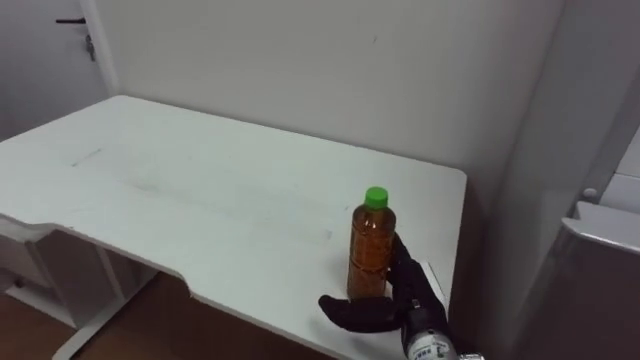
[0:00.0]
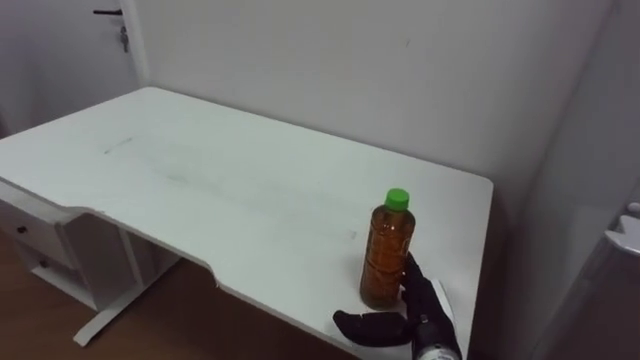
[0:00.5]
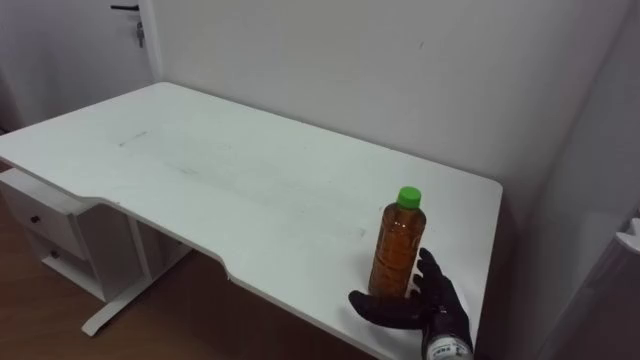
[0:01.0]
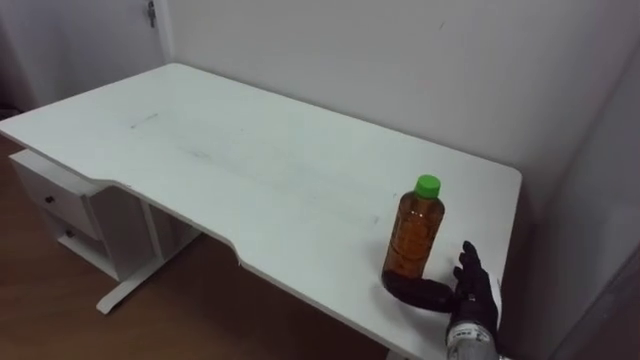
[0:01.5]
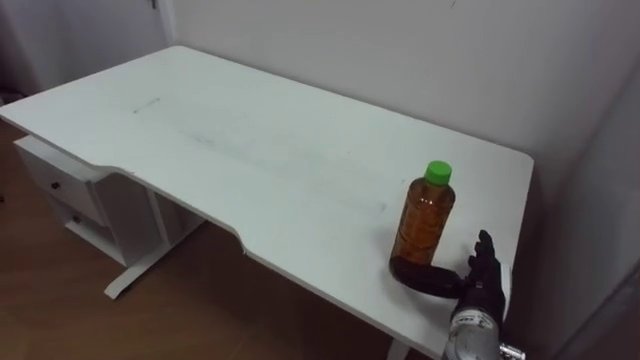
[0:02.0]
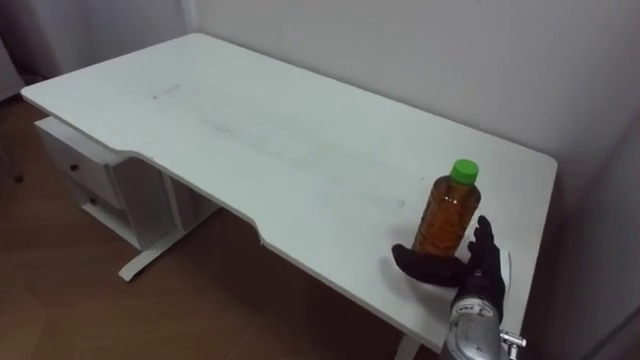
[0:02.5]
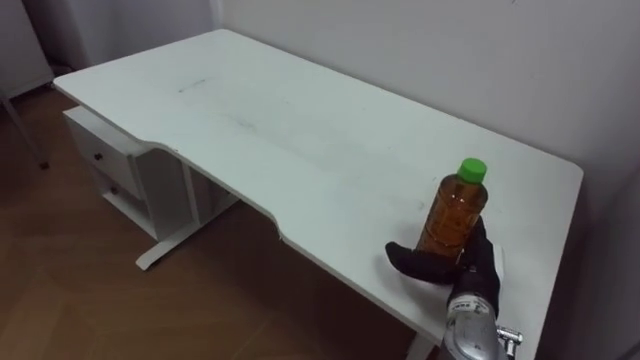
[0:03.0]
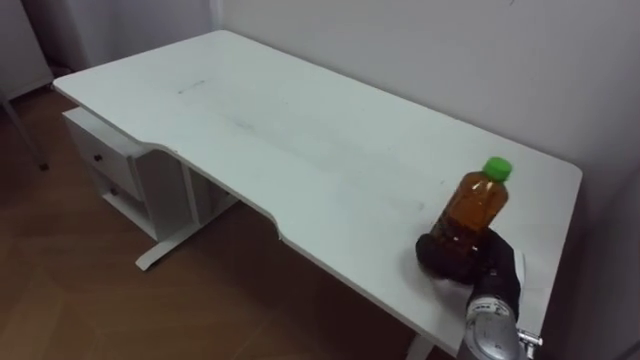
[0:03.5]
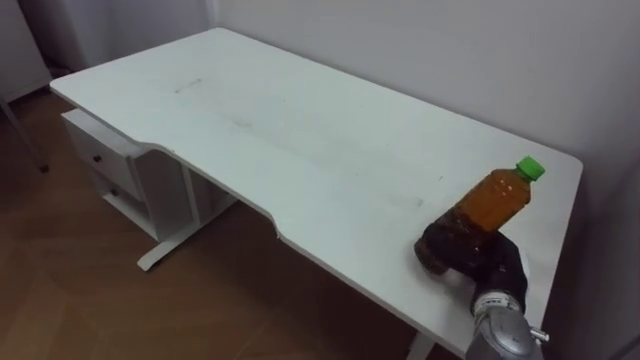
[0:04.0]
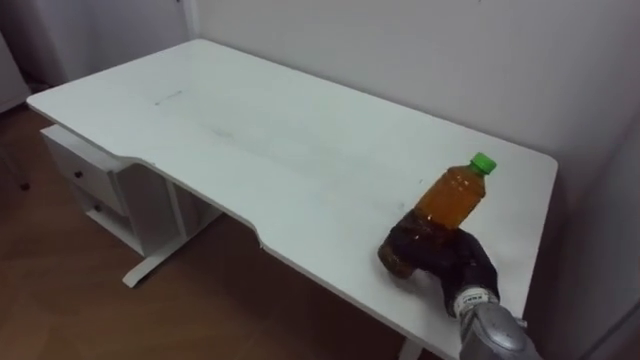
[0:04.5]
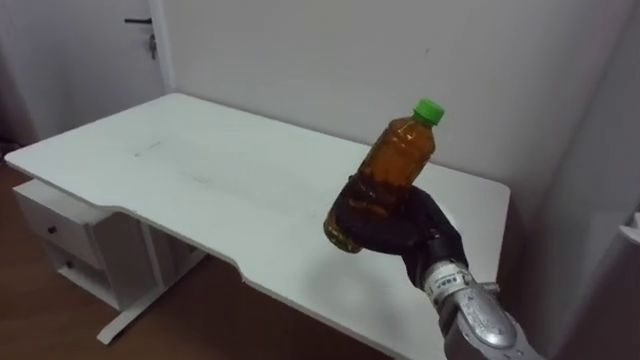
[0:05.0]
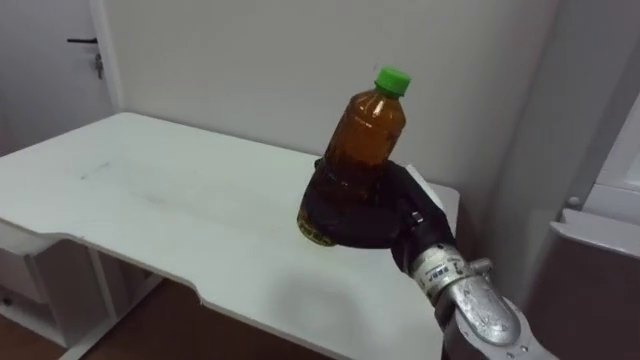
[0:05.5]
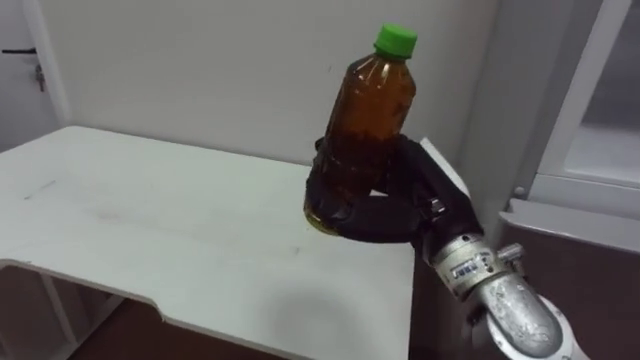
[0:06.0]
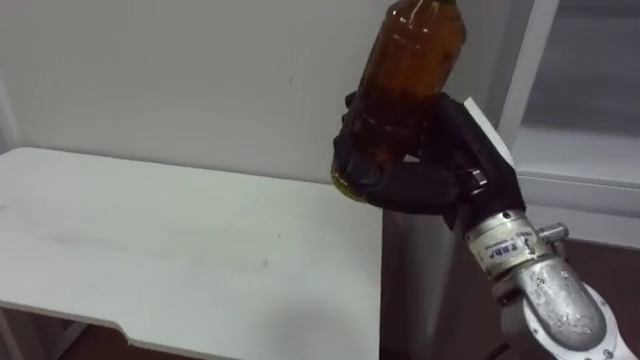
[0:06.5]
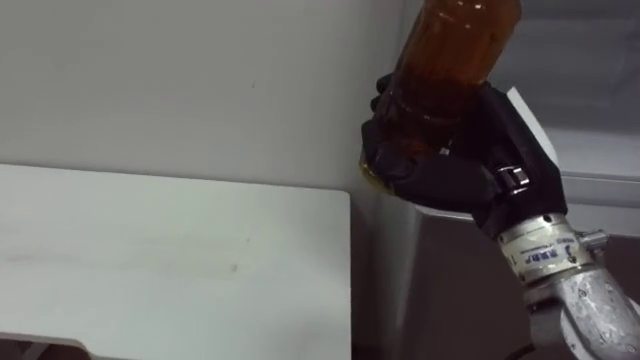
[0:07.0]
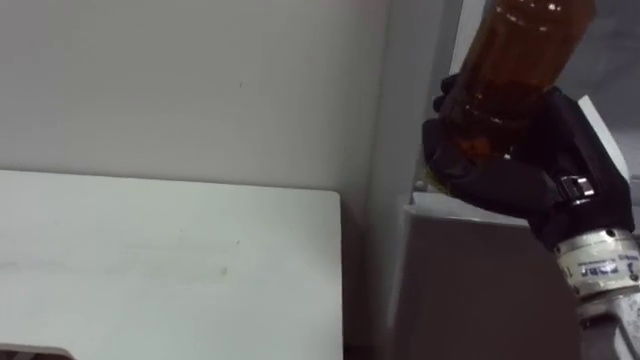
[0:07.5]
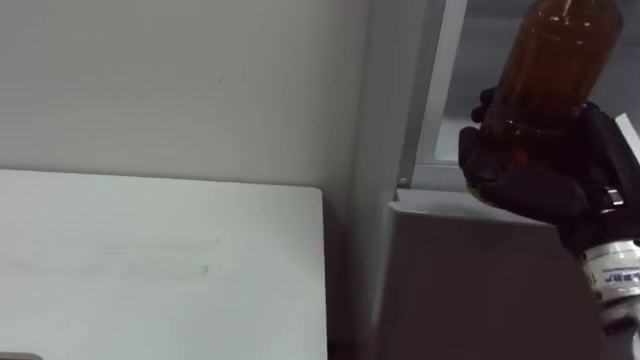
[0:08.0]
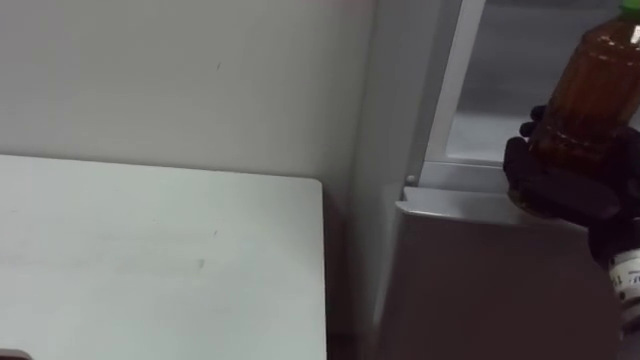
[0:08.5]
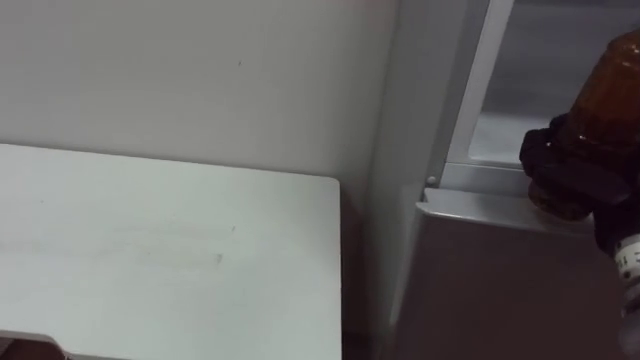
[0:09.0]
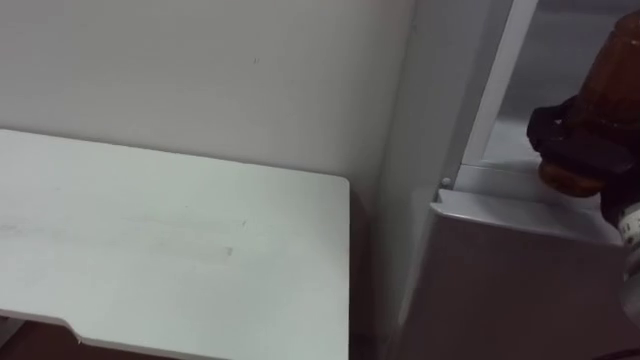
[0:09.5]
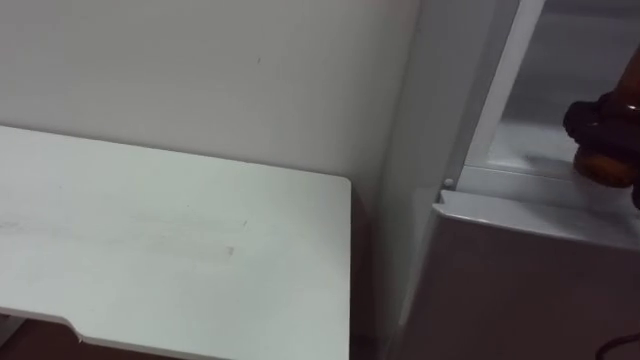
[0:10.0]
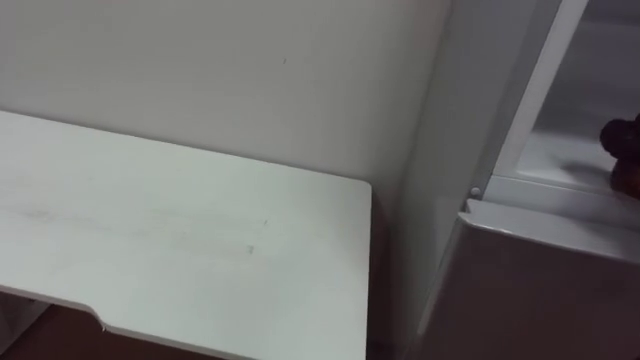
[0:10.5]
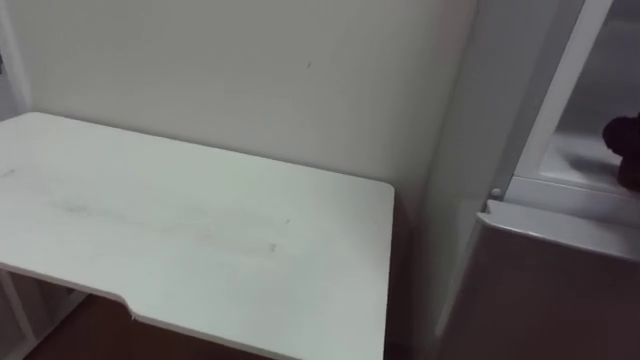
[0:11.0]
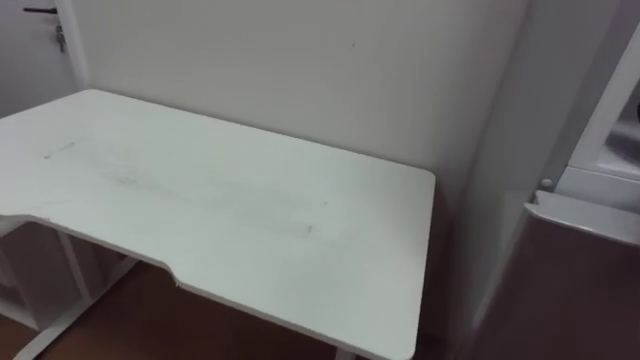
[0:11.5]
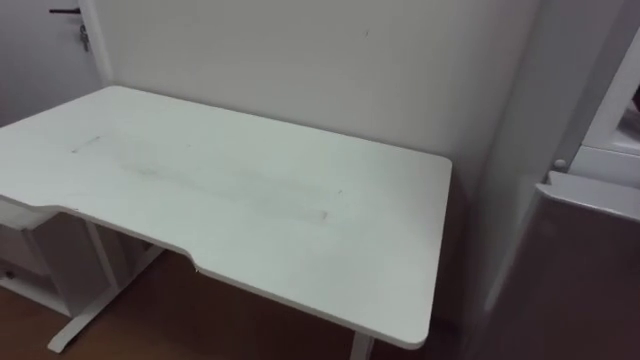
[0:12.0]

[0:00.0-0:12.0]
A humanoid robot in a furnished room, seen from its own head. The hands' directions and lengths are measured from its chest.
Task of the whole recording: Open the upper refrigerator door, put the drink from the table into the refrigerator, and then close the refrigerator door.
0.0 to 2.0 s: The right hand travels to the right by approximately 10 cm.
2.0 to 4.0 s: The right hand closes its fingers.
4.0 to 6.0 s: The right hand goes approximately 20 cm upward and to the left.
6.0 to 8.0 s: The right hand travels to the right by roughly 15 cm.

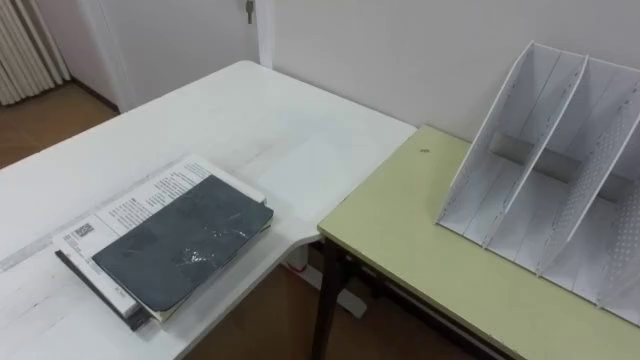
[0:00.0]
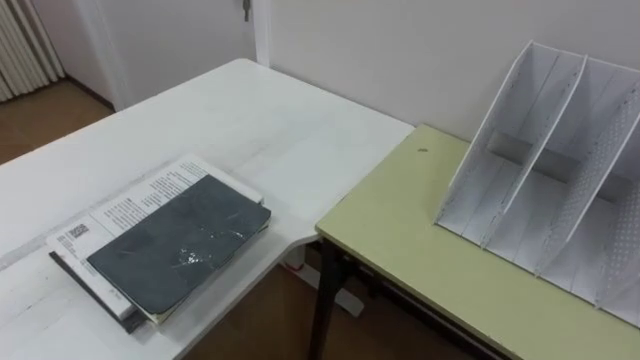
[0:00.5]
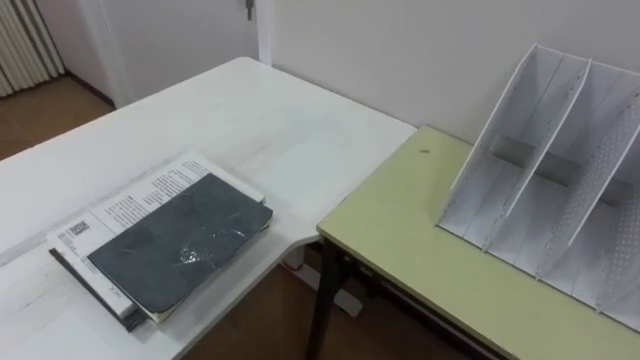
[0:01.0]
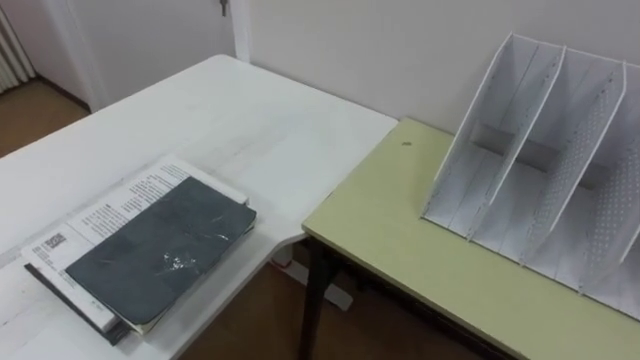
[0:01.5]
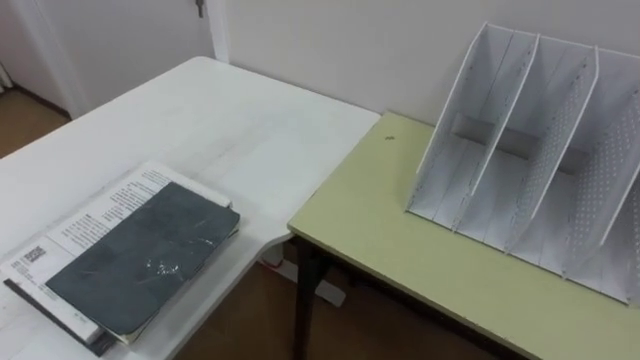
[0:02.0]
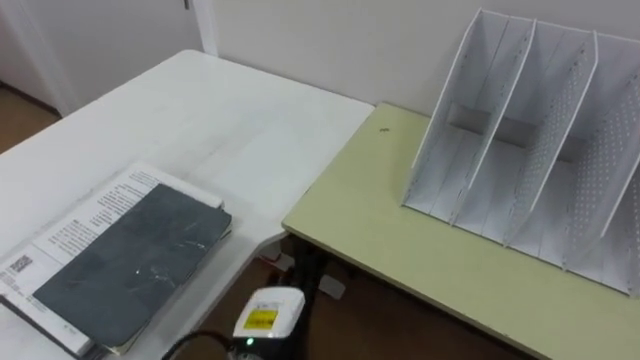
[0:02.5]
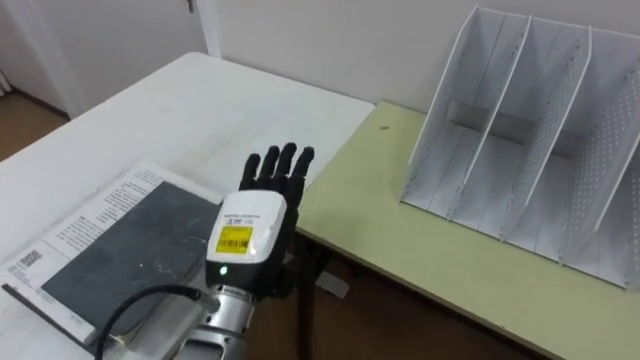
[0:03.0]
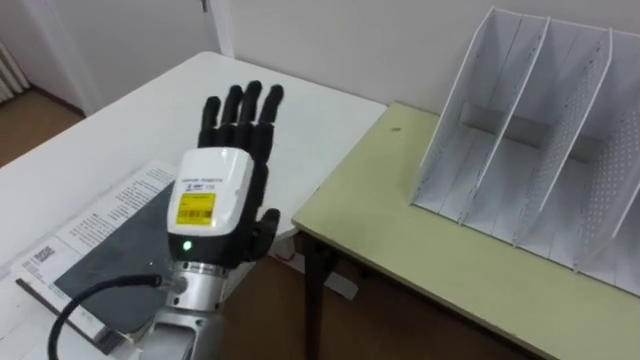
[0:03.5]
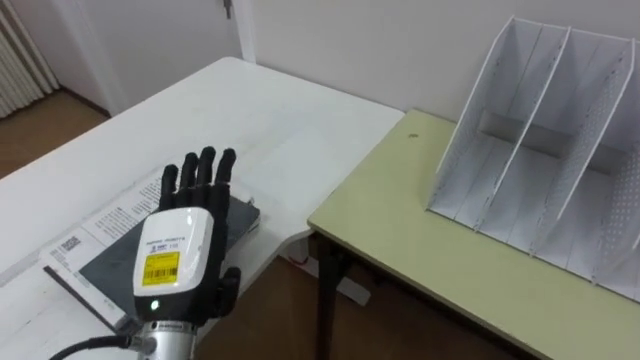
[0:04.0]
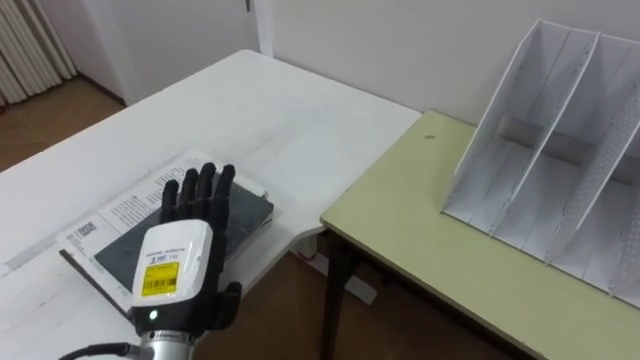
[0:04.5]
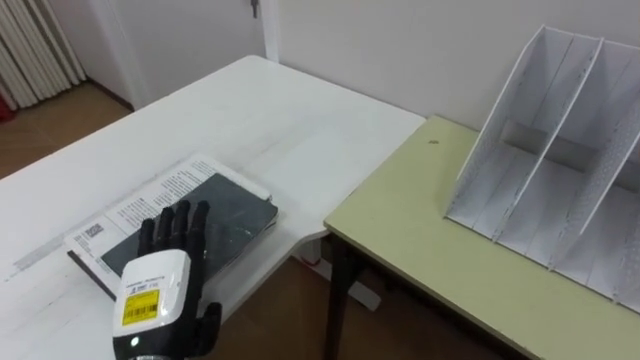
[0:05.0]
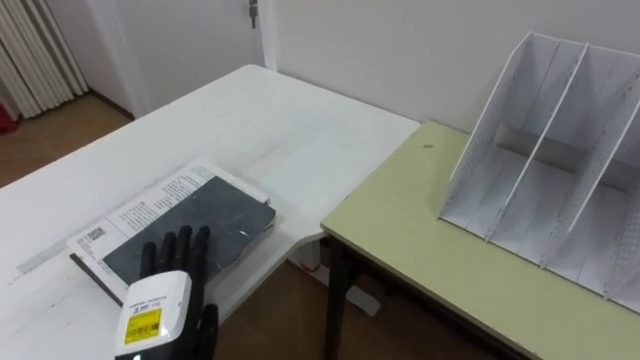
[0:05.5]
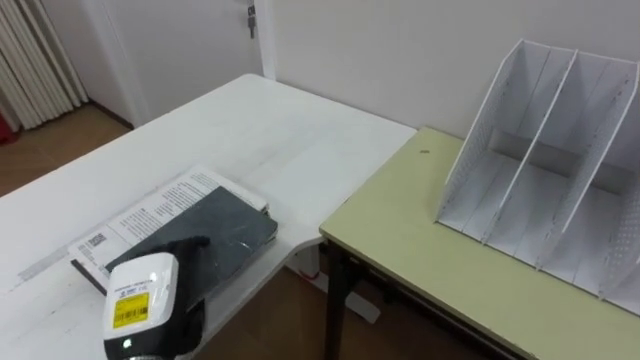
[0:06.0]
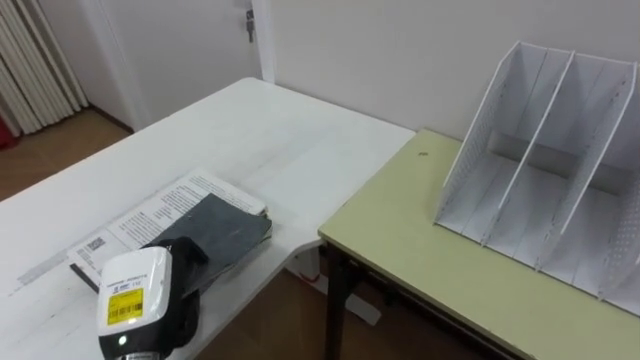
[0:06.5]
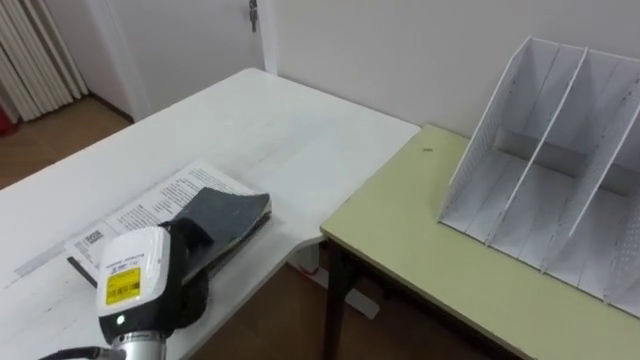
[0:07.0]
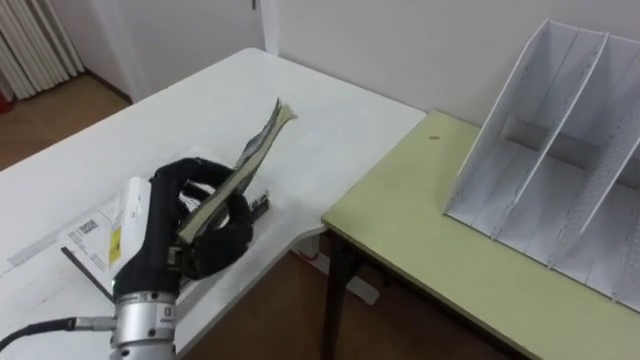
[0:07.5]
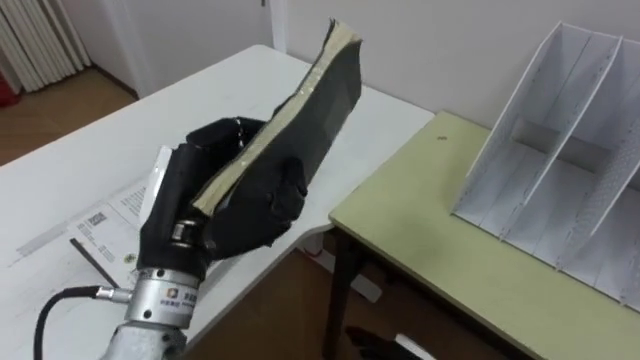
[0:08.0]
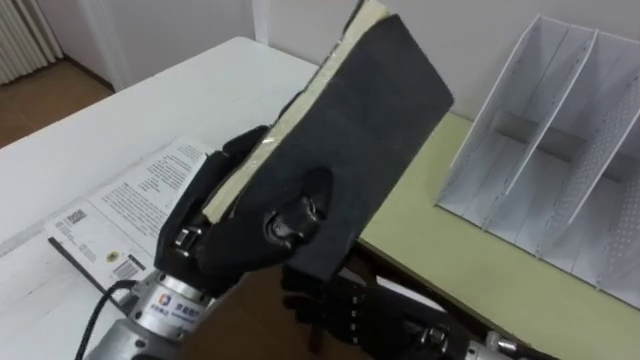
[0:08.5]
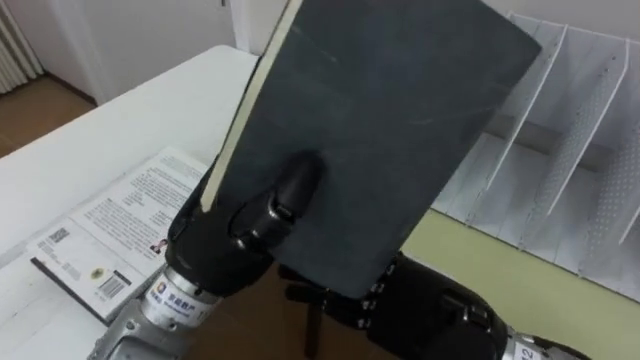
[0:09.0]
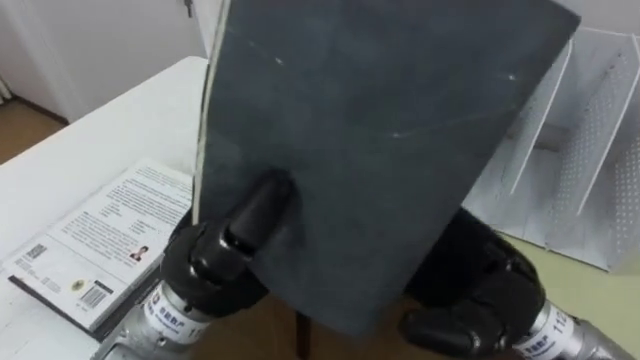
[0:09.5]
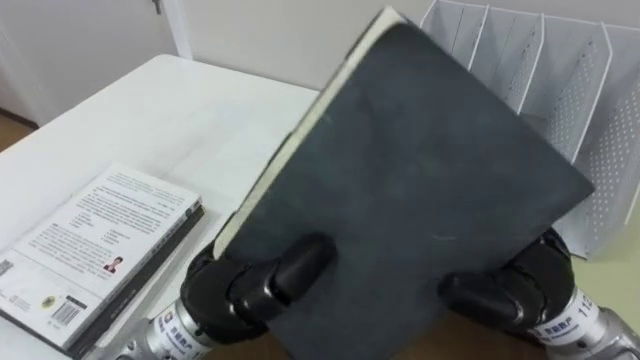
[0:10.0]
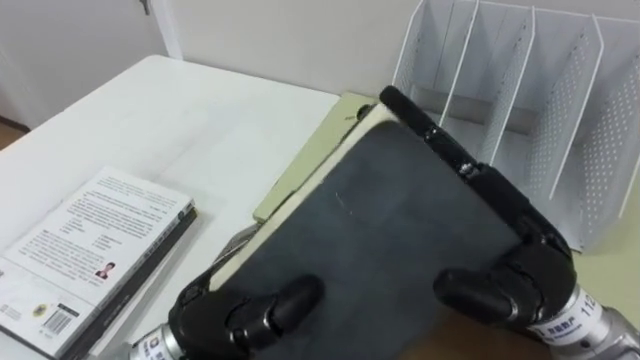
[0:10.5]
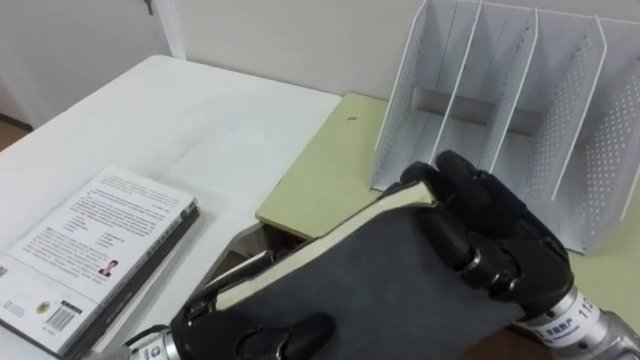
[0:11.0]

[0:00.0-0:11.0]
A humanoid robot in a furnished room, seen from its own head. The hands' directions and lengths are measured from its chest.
Task of the whole recording: Put the books on the table onto the bookshelf.
3.5 to 5.5 s: The left hand moves downward, to the left and backward, approximately 15 cm.
5.5 to 7.5 s: The left hand is displaced upward by about 10 cm, and closes up.
7.5 to 9.0 s: The left hand moves to the right and upward, some 10 cm.
9.0 to 11.0 s: The right hand goes approximately 5 cm upward, and closes its fingers, while the left hand moves downward, roughly 10 cm.
